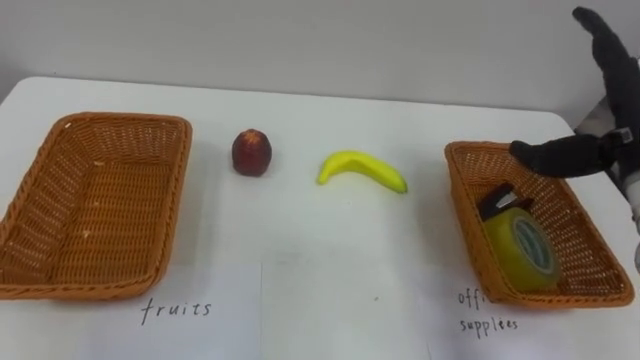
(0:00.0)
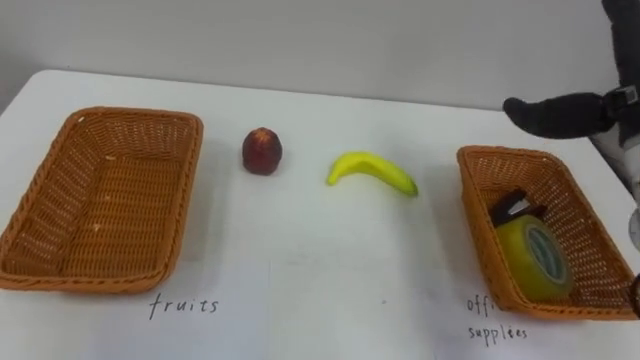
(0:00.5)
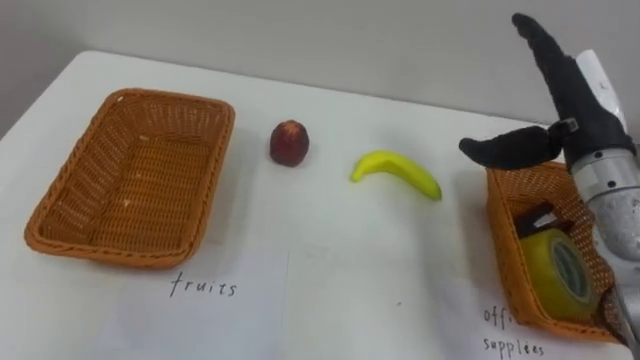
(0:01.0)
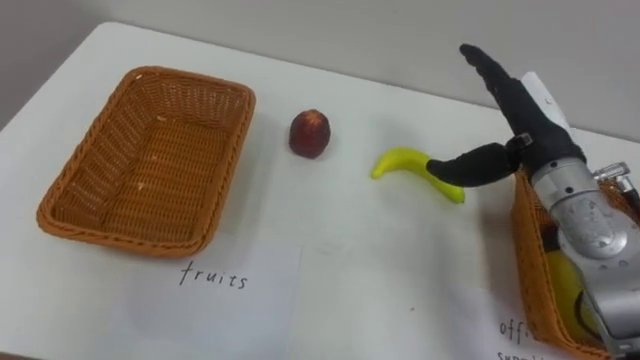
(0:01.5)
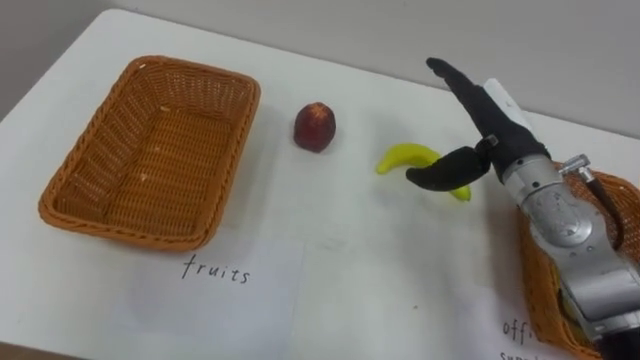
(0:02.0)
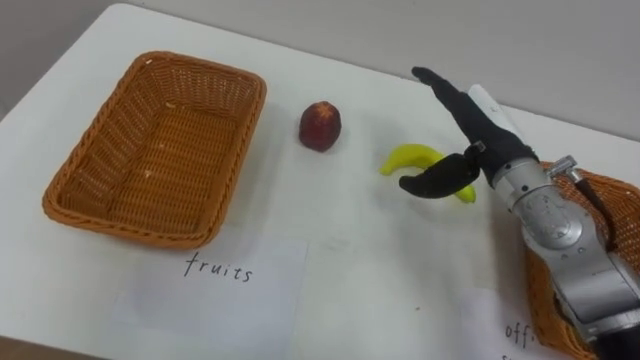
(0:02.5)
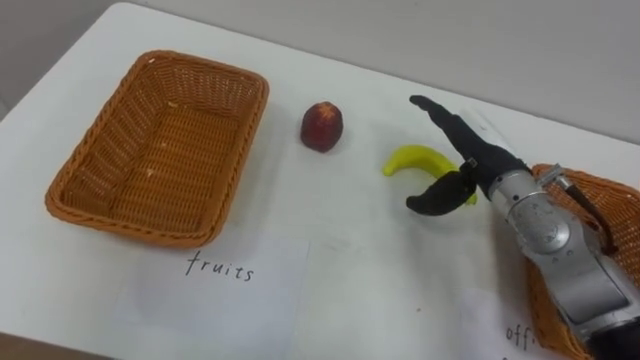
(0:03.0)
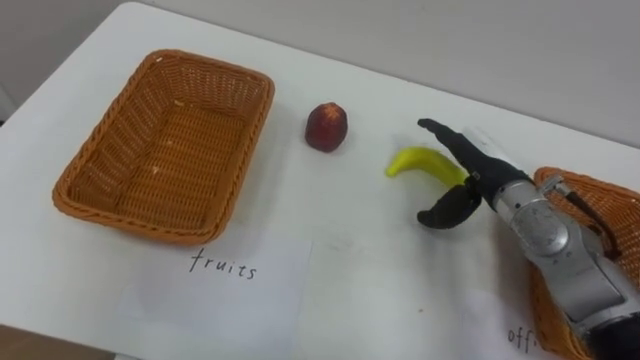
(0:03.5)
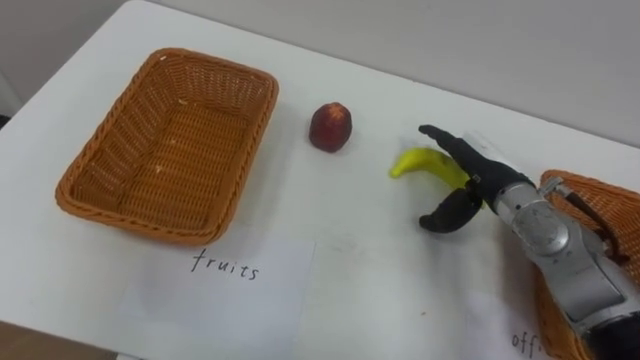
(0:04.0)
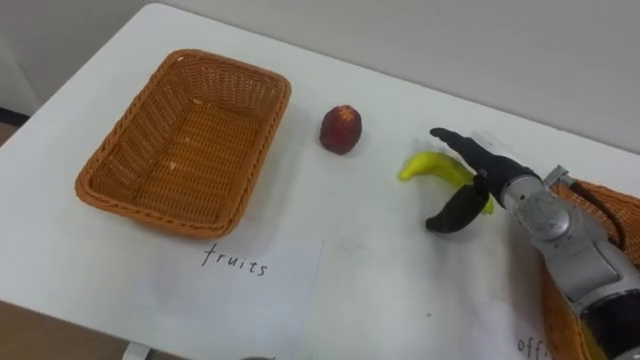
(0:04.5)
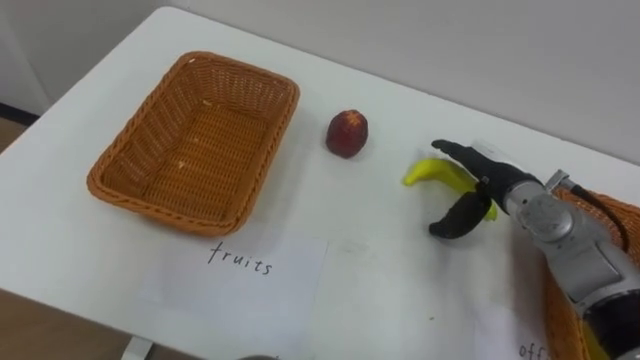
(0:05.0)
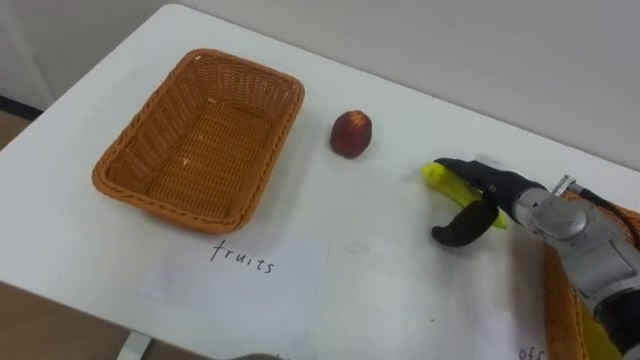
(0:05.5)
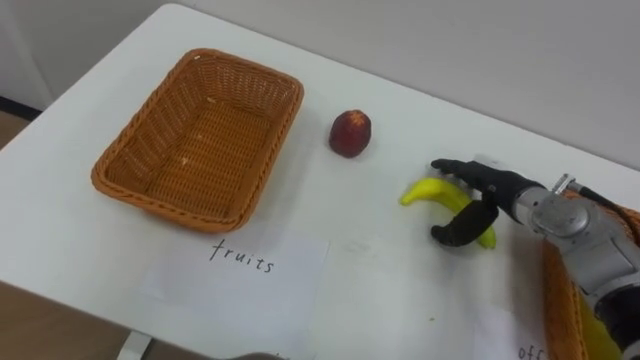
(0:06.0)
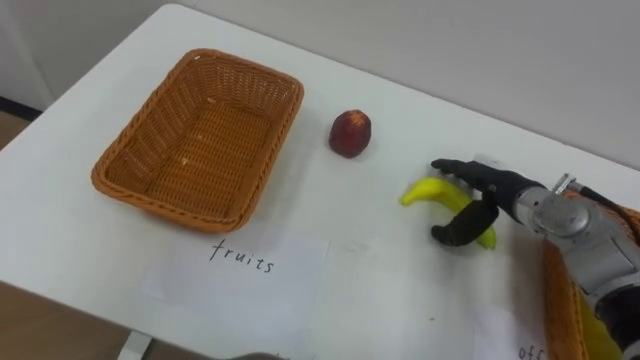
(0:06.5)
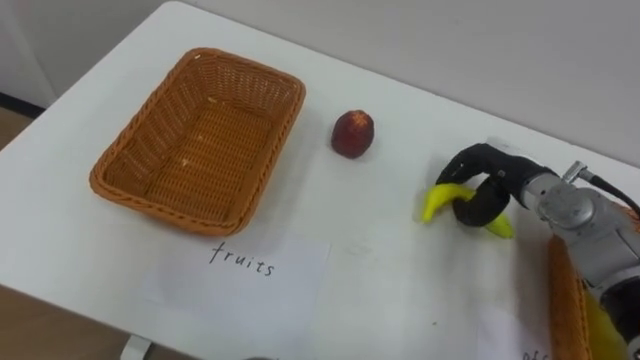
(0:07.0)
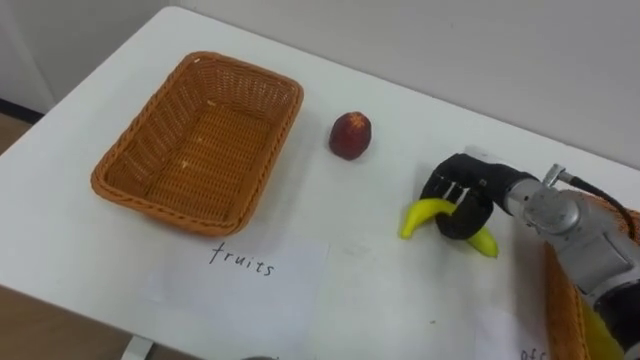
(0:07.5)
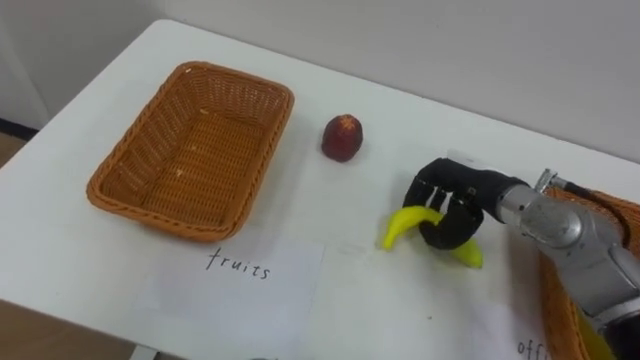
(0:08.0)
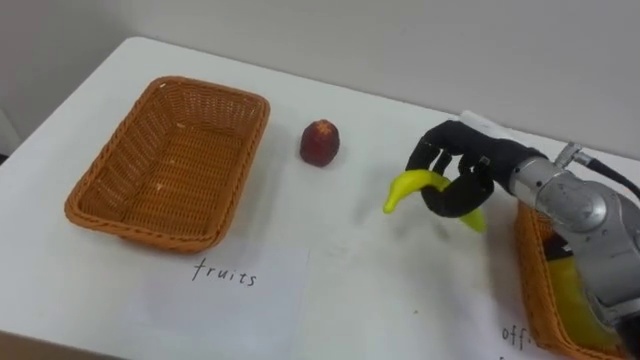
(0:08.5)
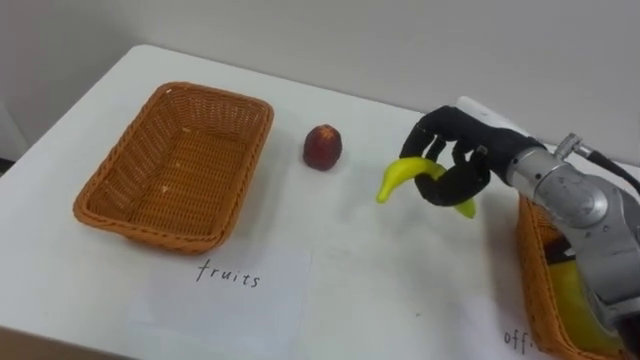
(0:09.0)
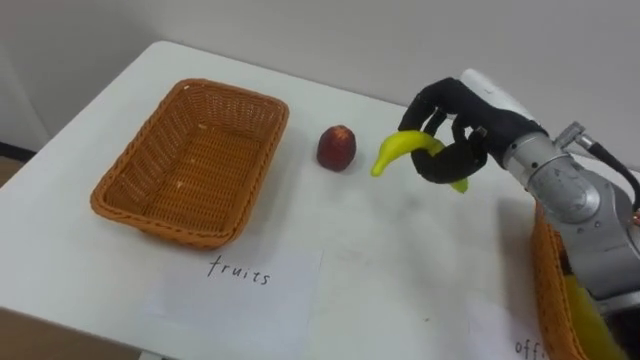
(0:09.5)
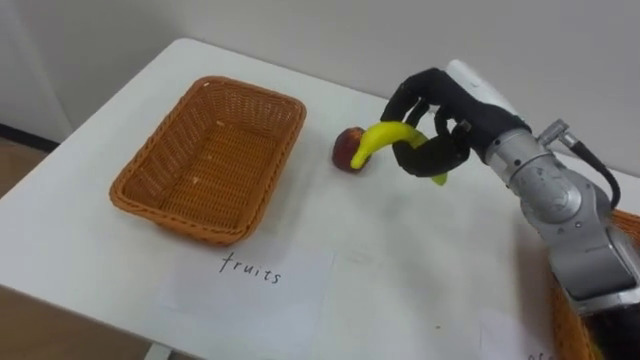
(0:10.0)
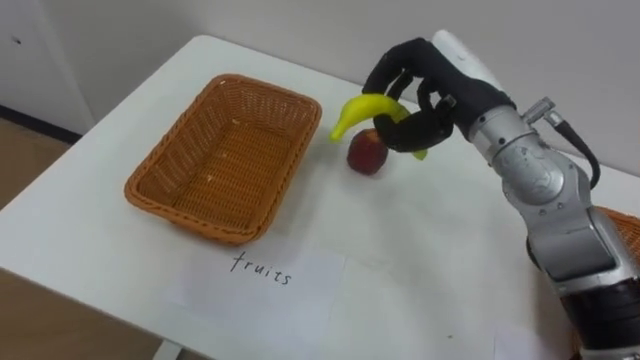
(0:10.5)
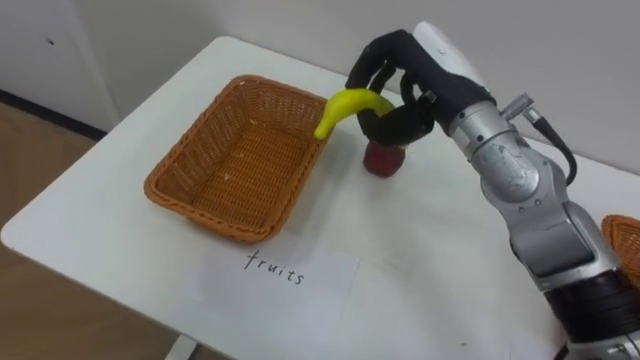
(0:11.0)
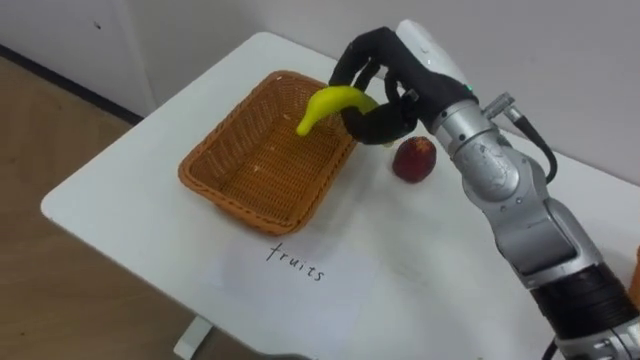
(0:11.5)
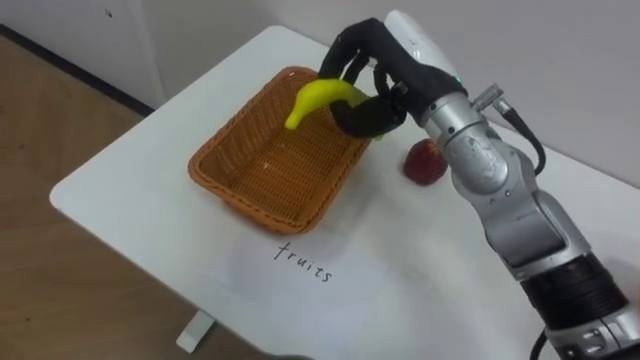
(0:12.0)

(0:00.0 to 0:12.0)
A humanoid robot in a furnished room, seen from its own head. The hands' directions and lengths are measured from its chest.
Task of the whole recording: Separate the items on the table and place them into the two baskets.
0:00.0 - 0:02.0: The right hand travels to the left and downward by roughly 10 cm.
0:02.0 - 0:04.0: The right hand shifts about 5 cm downward.
0:06.0 - 0:08.0: The right hand changes place by about 5 cm, and closes.
0:08.0 - 0:10.0: The right hand moves upward, about 10 cm.
0:10.0 - 0:12.0: The right hand shifts roughly 10 cm to the left.

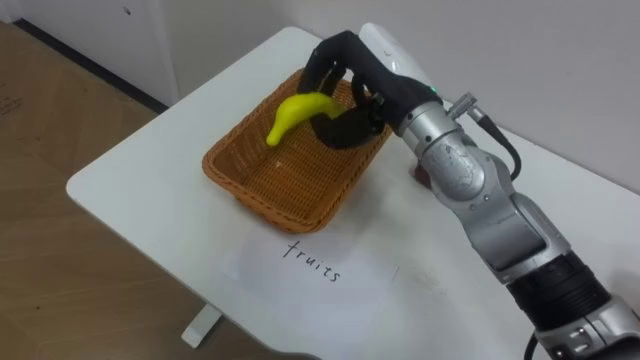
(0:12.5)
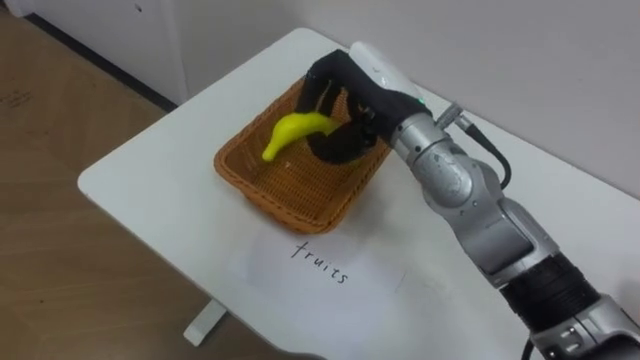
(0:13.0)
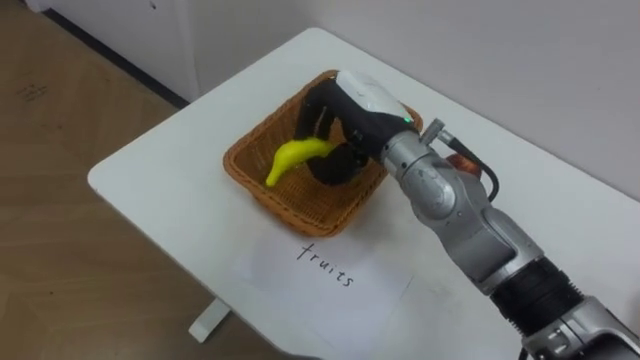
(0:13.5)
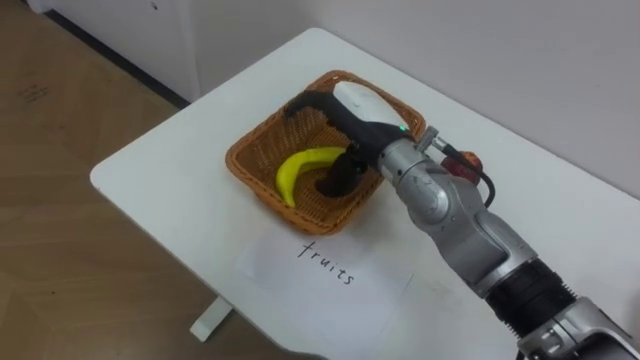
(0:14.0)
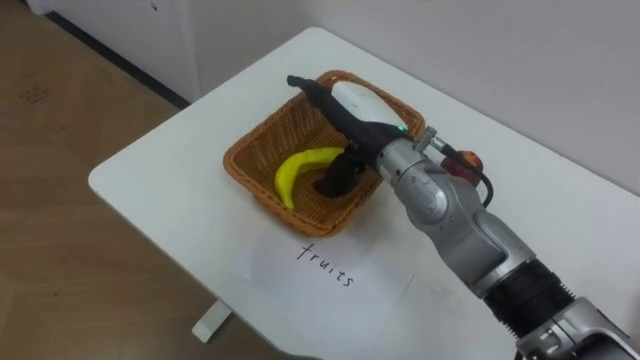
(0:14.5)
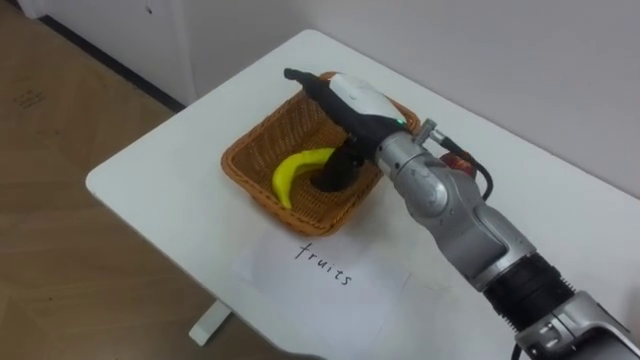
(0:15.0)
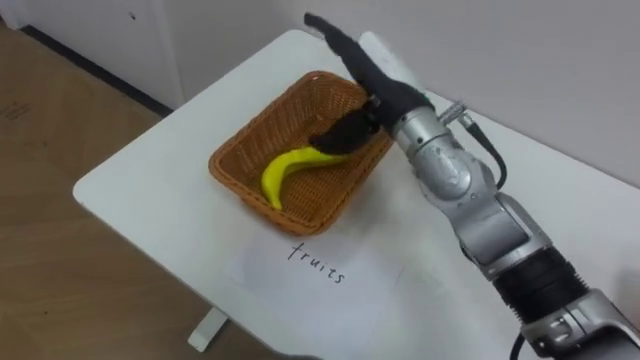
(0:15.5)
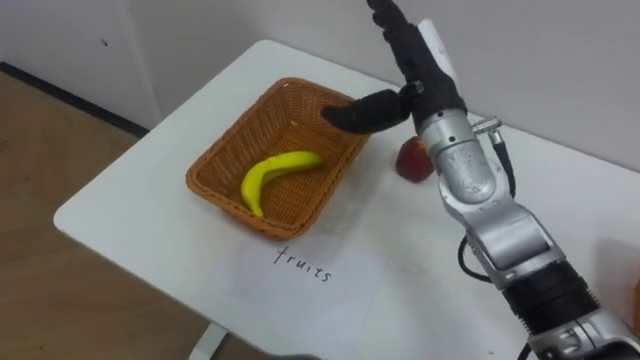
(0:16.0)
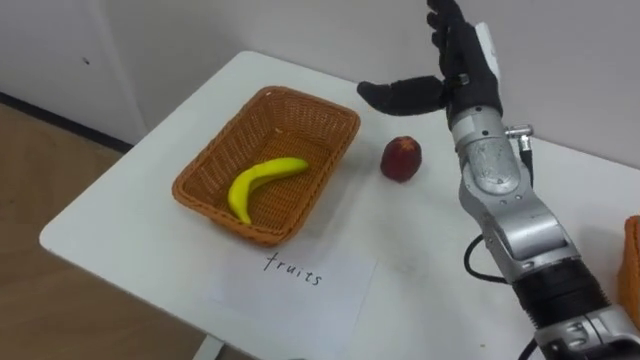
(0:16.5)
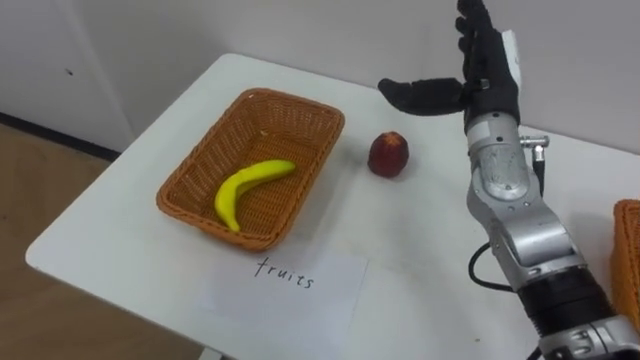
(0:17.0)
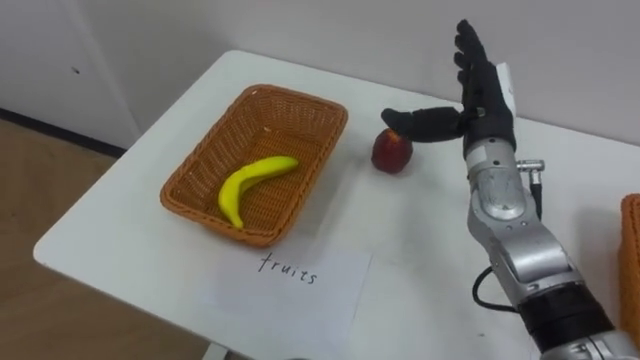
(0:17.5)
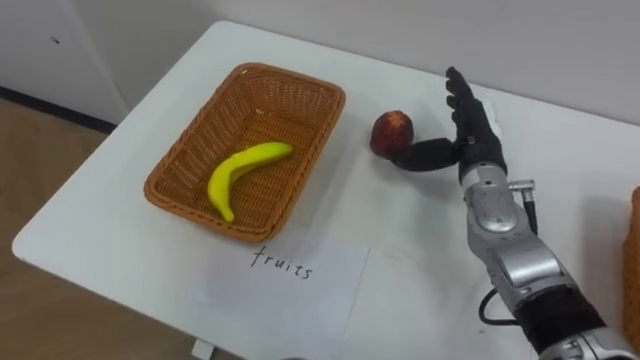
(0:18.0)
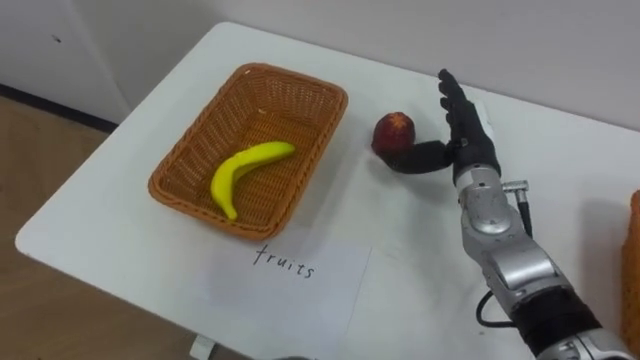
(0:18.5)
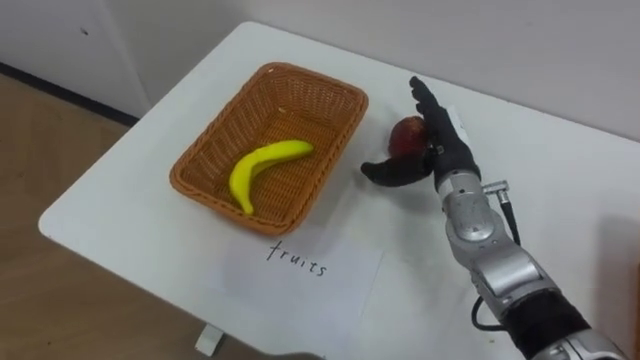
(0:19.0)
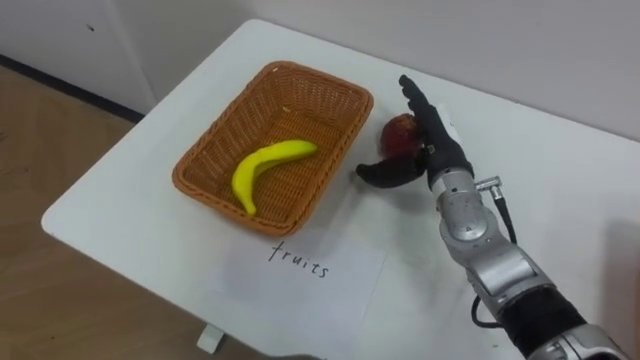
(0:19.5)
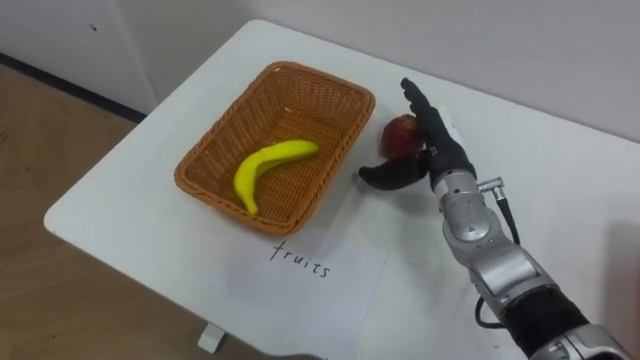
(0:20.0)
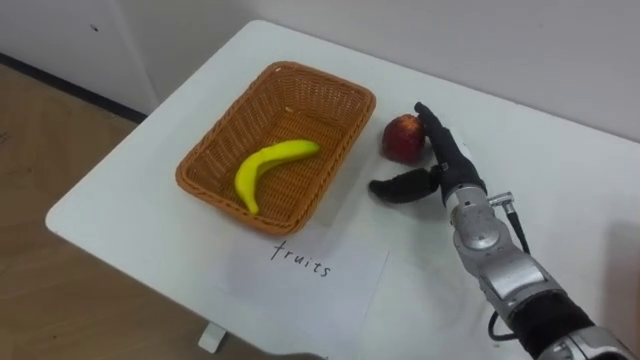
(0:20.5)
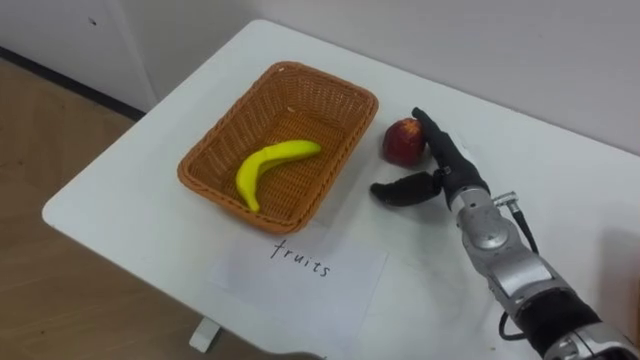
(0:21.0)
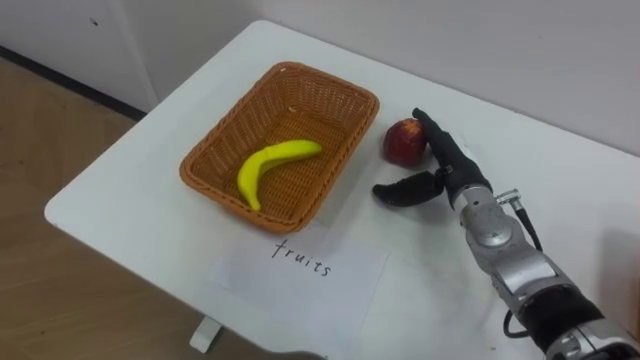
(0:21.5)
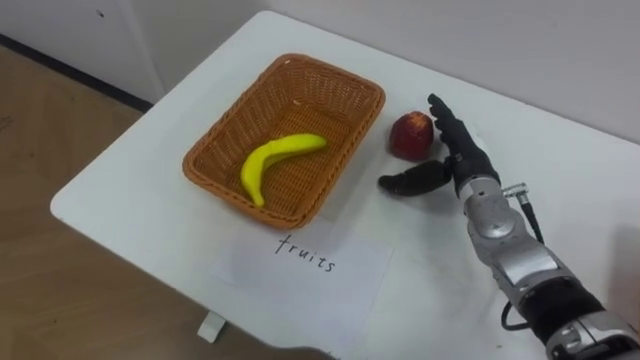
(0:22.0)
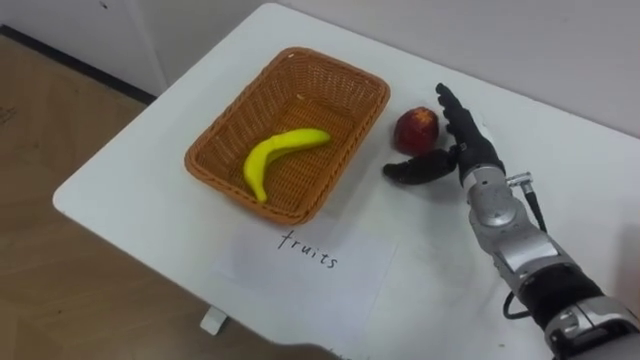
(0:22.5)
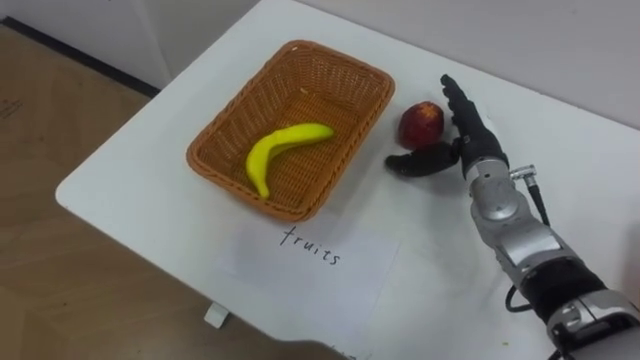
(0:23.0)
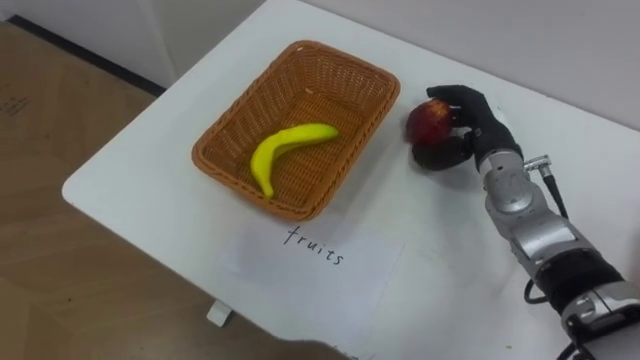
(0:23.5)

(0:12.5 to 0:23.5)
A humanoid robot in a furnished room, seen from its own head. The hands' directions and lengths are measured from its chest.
Task of the whole recording: Separate the items on the table and place them into the two baskets.
0:12.5 - 0:14.5: The right hand moves downward, approximately 5 cm, and opens.
0:14.5 - 0:16.0: The right hand shifts roughly 10 cm to the right and upward.
0:16.0 - 0:18.0: The right hand travels downward and to the right by roughly 15 cm.
0:21.5 - 0:23.5: The right hand ends up some 5 cm from where it was.